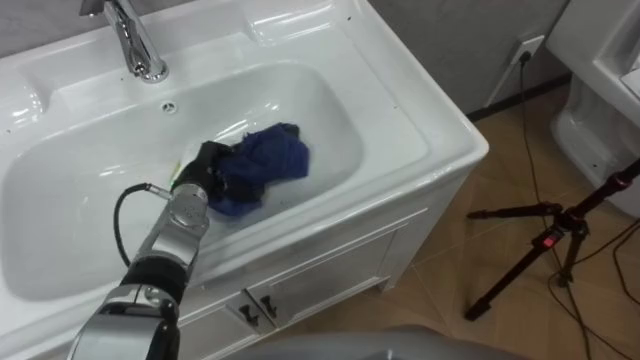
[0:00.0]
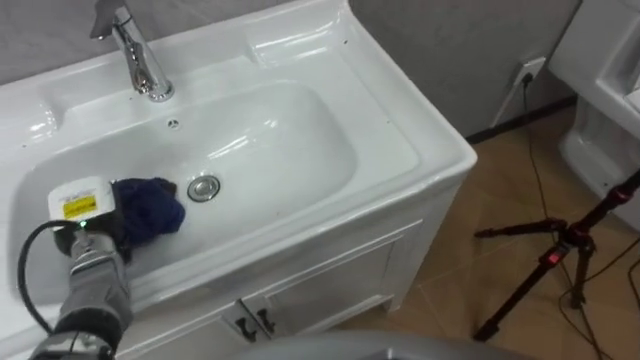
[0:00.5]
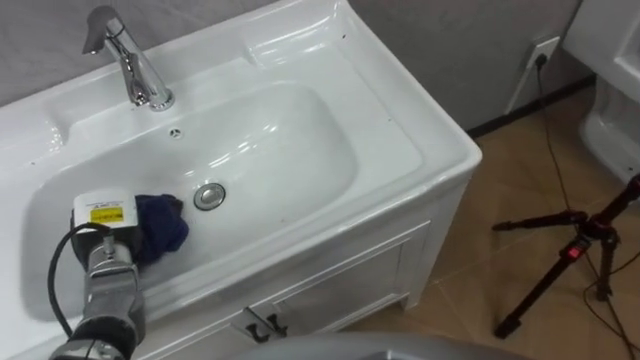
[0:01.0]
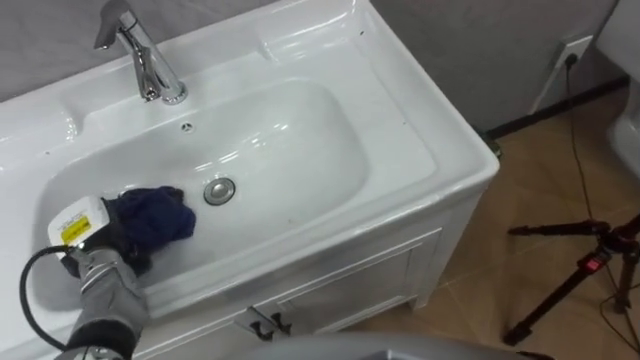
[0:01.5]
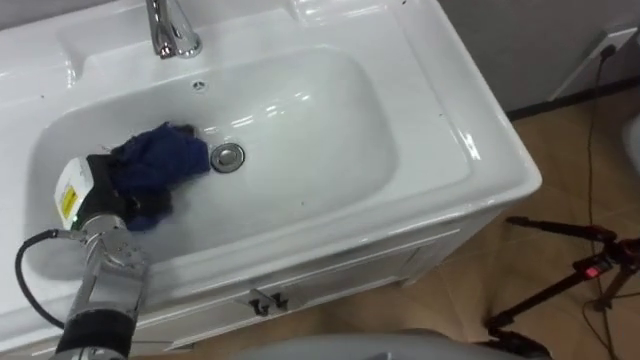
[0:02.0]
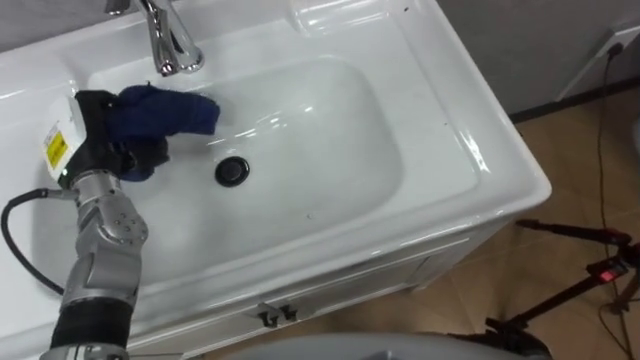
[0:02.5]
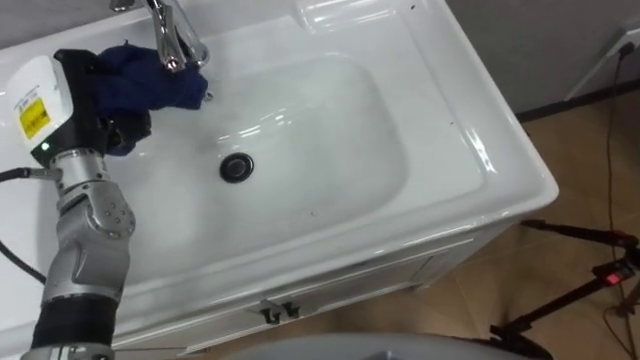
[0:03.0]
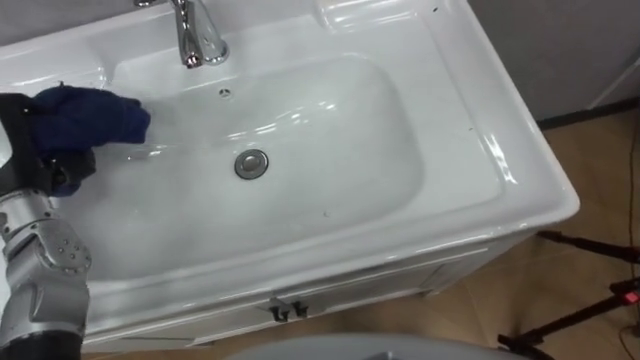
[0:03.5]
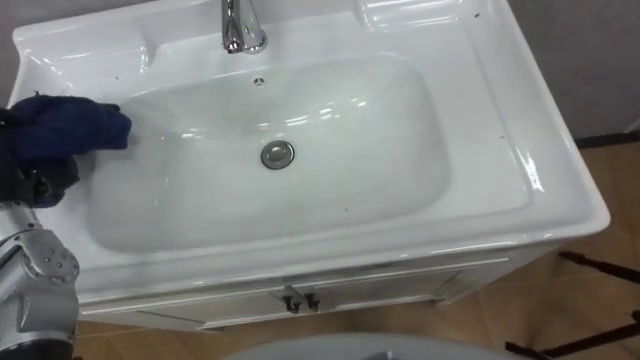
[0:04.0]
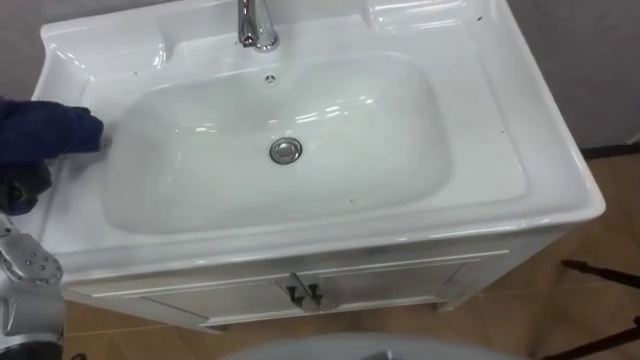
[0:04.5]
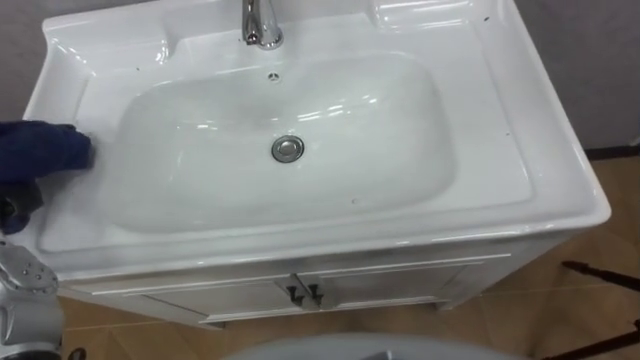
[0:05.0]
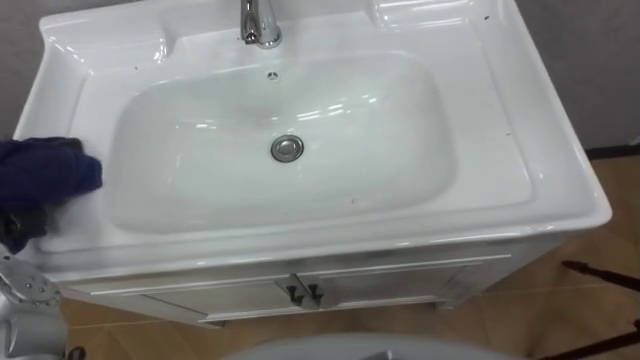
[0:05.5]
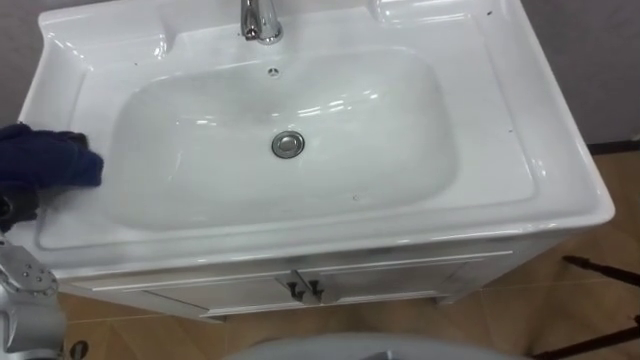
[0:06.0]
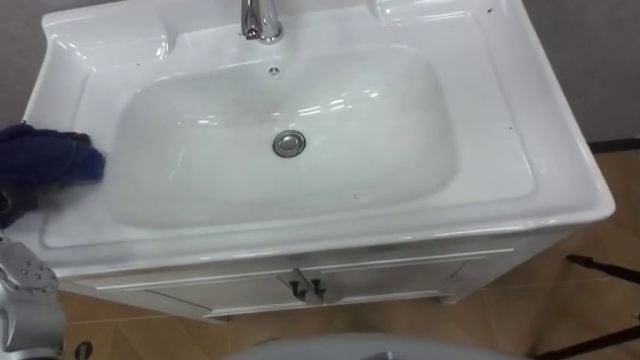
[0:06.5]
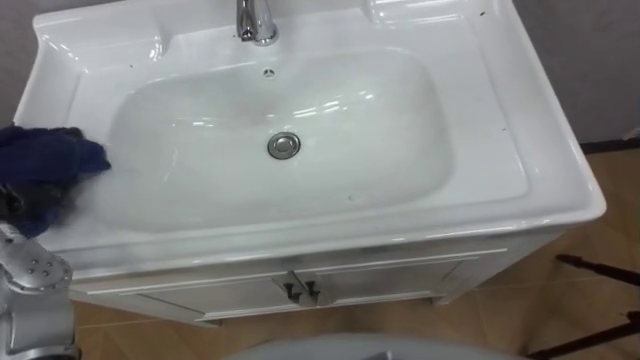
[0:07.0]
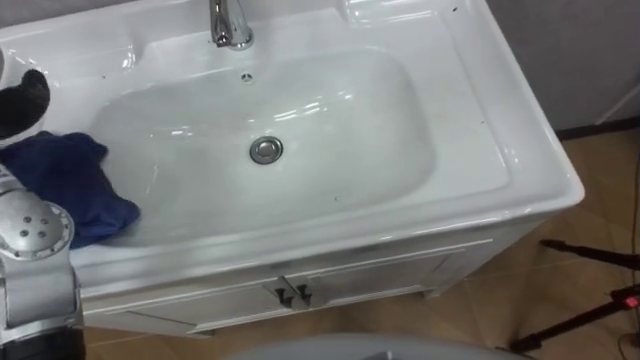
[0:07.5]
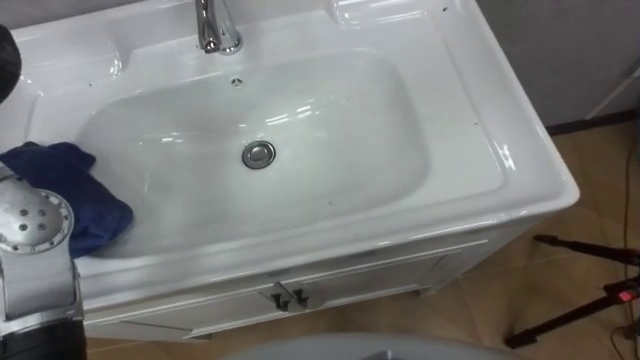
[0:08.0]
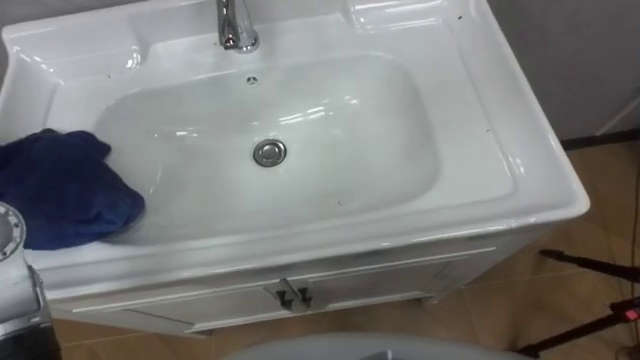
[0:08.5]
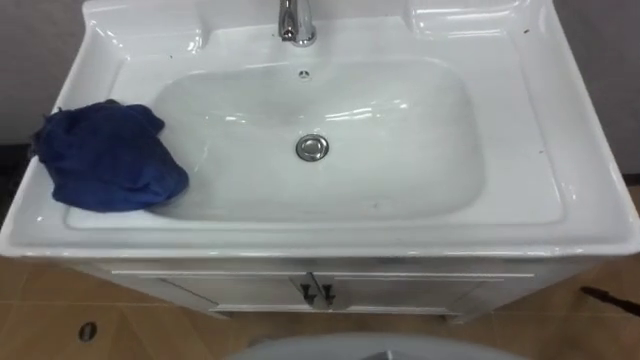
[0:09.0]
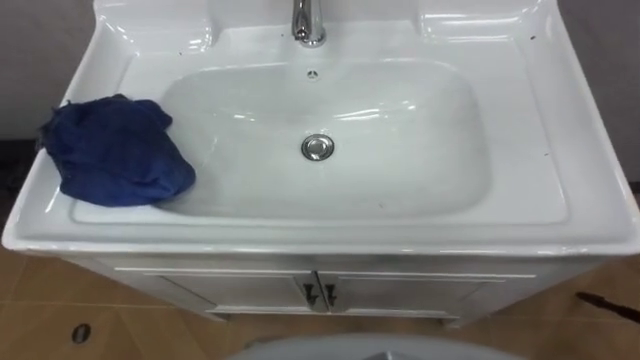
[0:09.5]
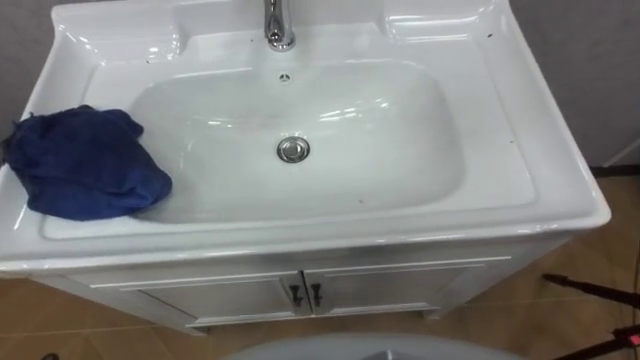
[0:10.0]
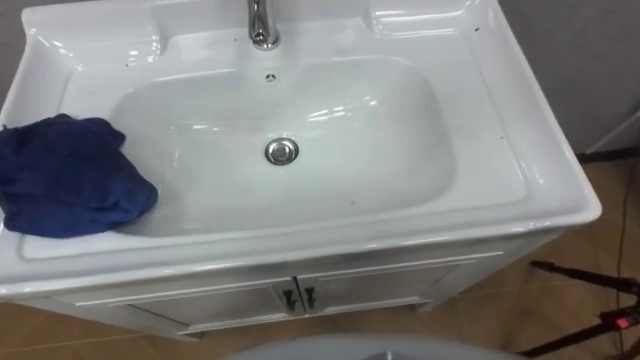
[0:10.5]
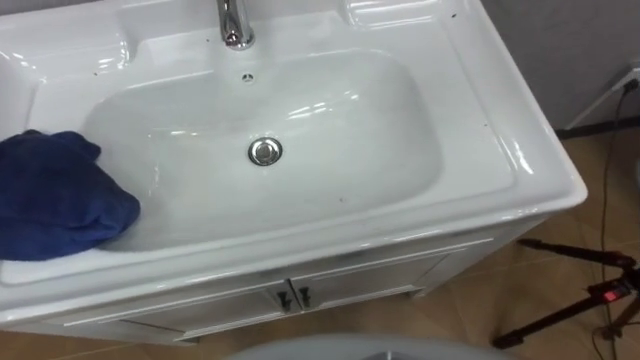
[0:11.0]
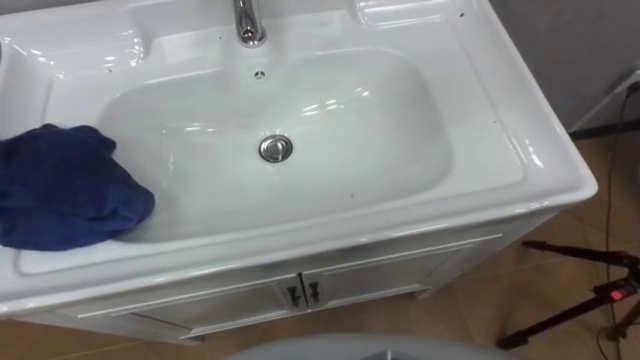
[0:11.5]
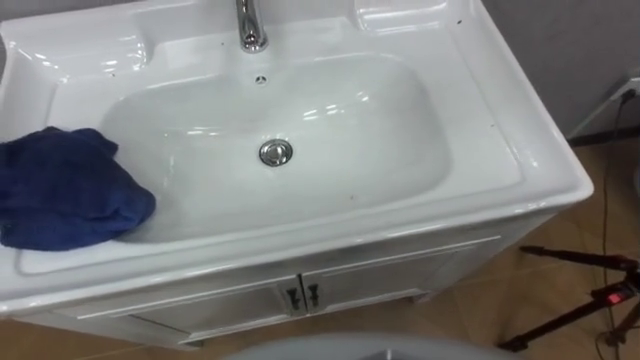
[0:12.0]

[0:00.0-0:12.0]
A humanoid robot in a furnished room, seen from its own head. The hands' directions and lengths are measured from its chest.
Task of the whole recording: Use the cloth on the right to wipe away the black stain in the sink.
0:00.0 to 0:02.0: The left hand is displaced to the left by approximately 15 cm.

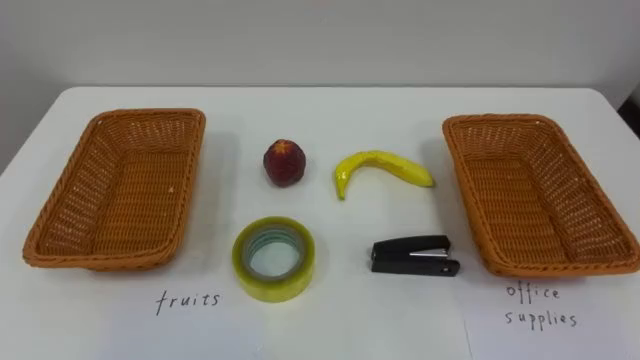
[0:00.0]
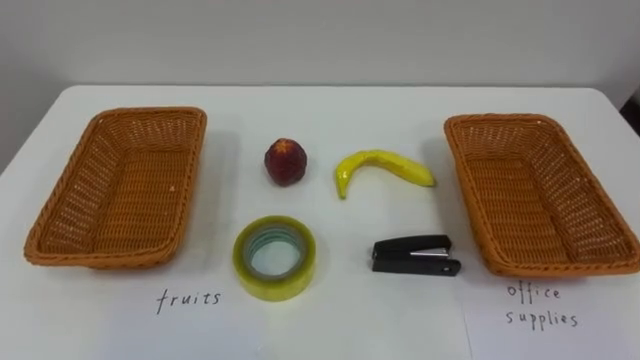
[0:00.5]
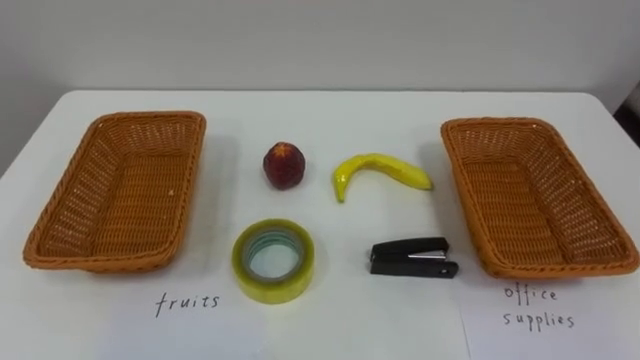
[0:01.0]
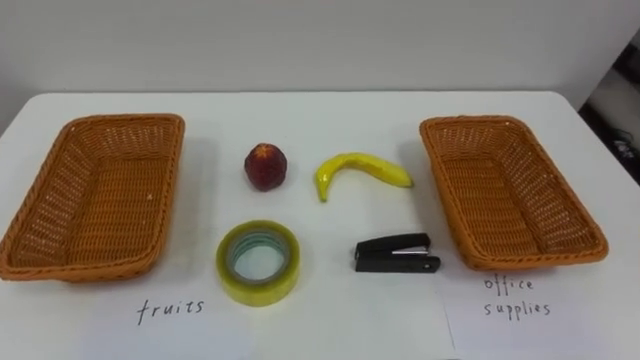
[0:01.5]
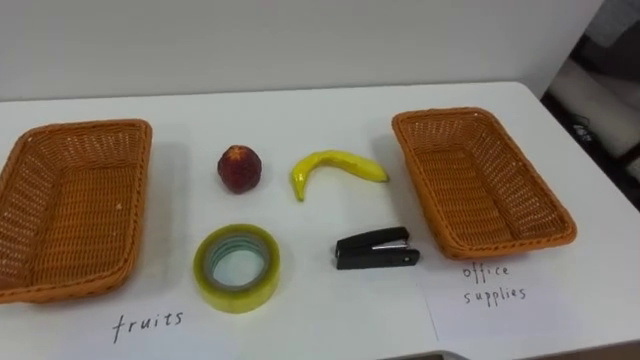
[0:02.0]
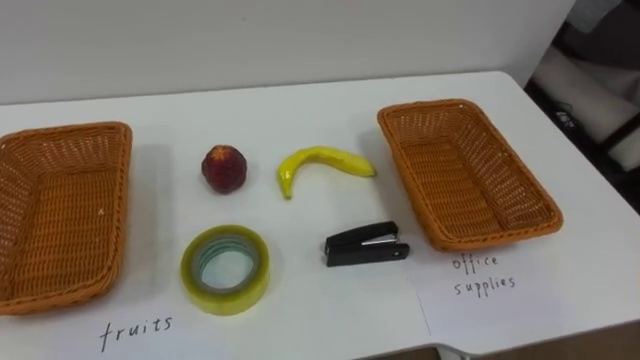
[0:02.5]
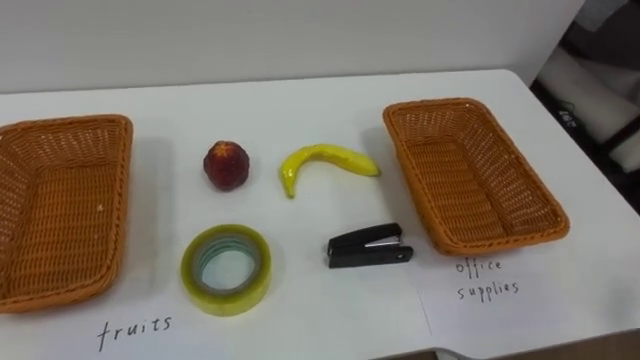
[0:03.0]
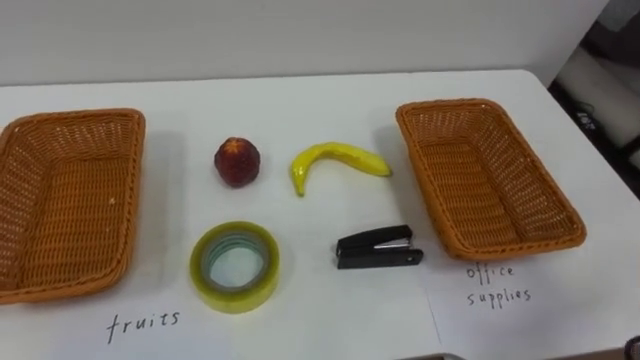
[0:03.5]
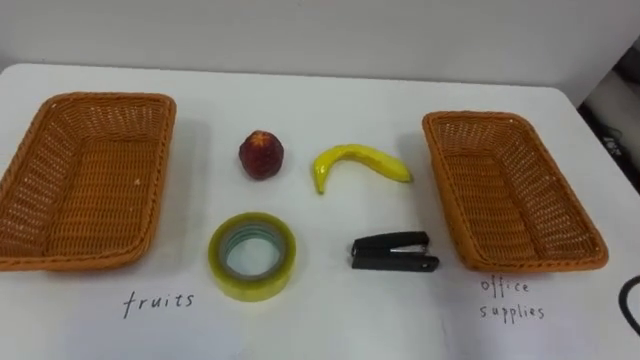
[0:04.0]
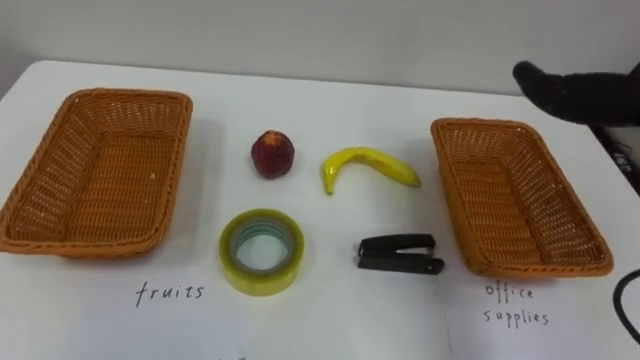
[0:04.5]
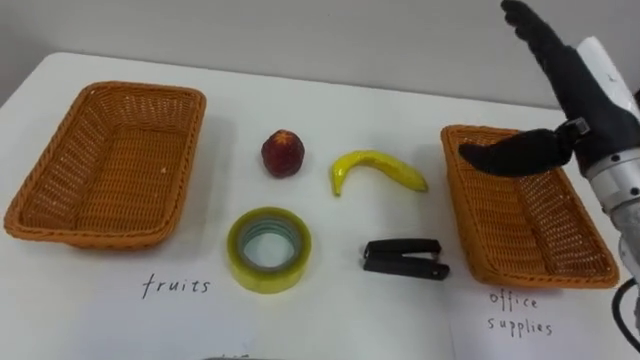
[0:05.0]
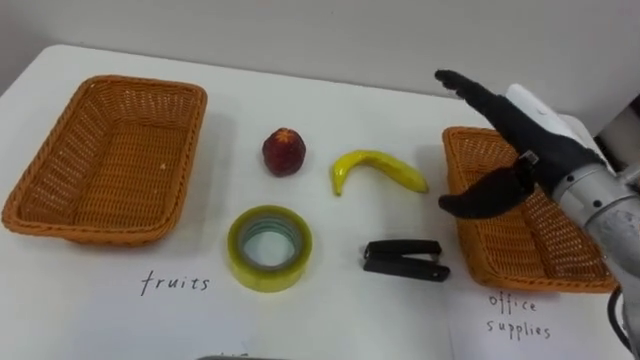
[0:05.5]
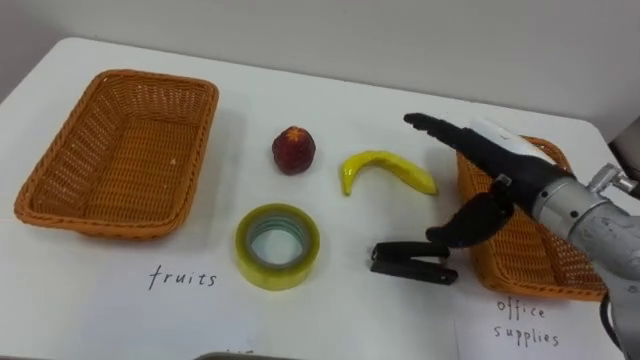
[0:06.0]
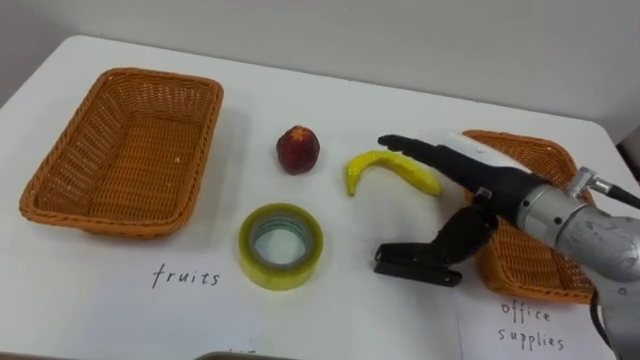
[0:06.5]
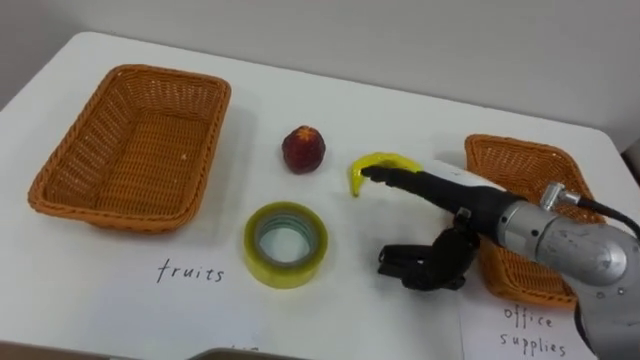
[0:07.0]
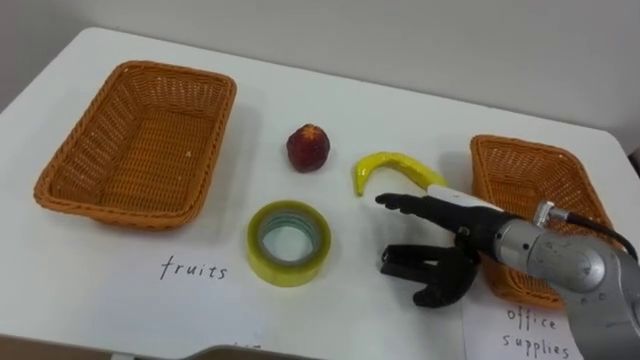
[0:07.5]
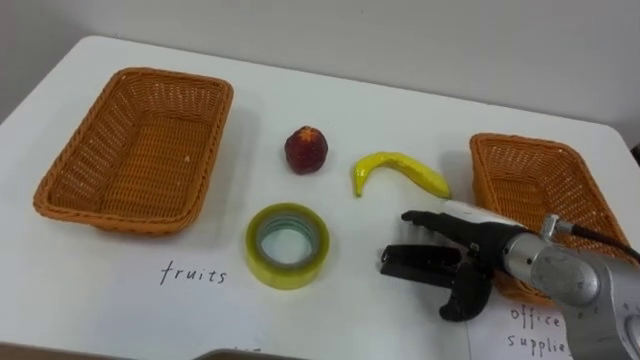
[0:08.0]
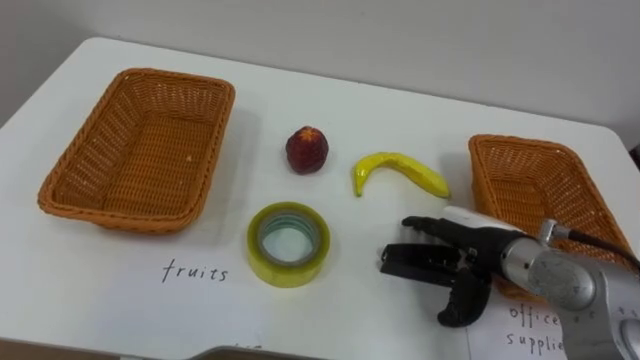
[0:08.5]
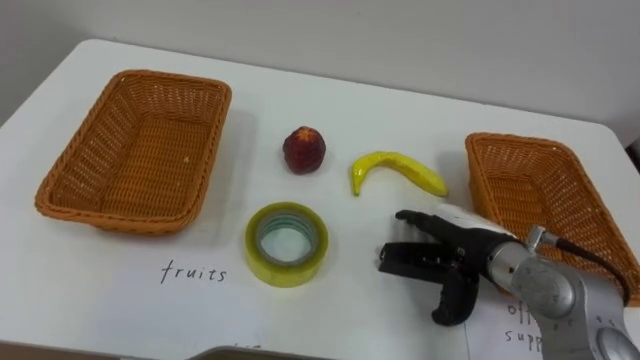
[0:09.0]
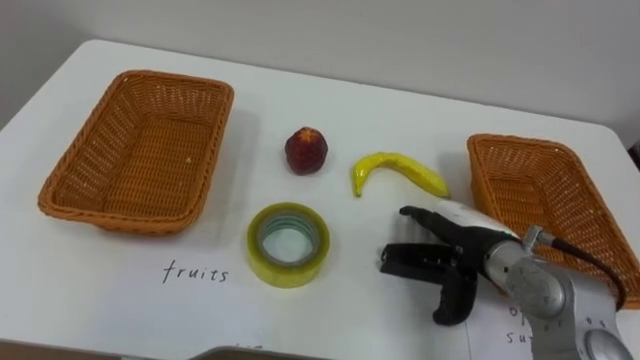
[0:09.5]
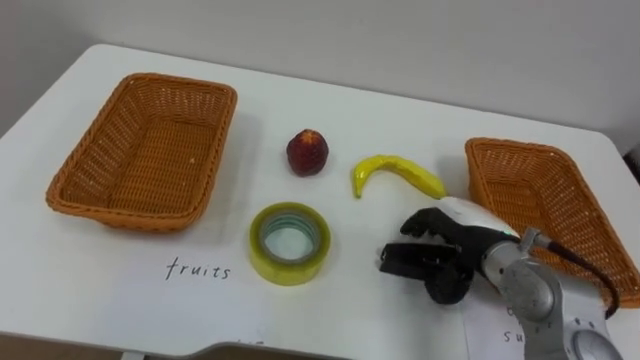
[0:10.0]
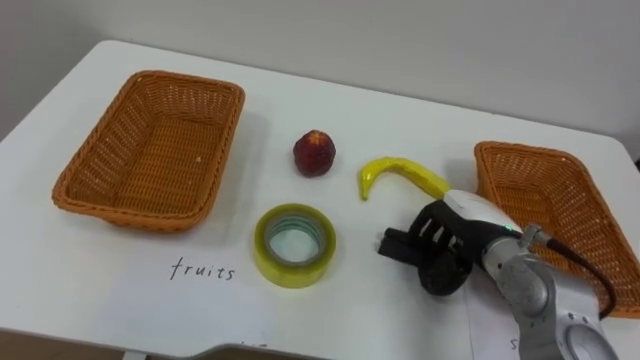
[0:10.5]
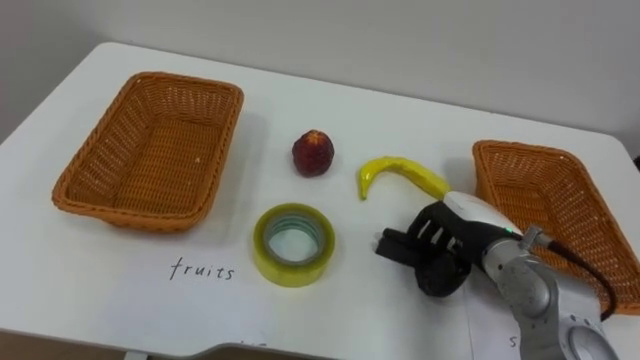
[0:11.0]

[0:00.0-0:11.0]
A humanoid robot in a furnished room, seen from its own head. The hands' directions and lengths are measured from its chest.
Task of the whole recording: Separate the items on the table and place them into the two baskets.
0:05.5 to 0:07.5: The right hand shifts about 10 cm downward.
0:09.0 to 0:11.0: The right hand closes its fingers.
